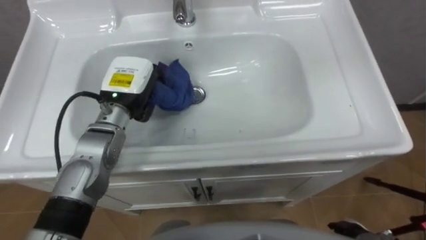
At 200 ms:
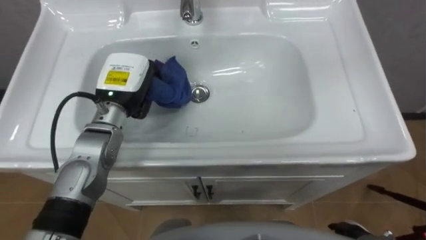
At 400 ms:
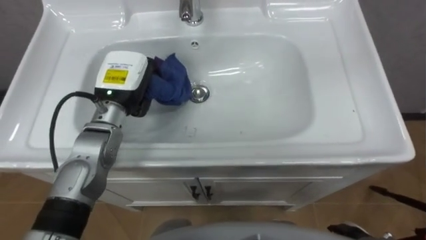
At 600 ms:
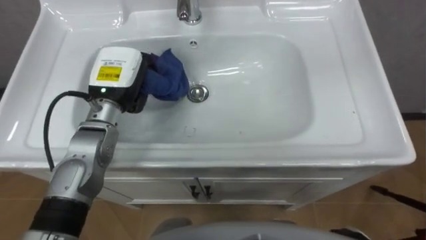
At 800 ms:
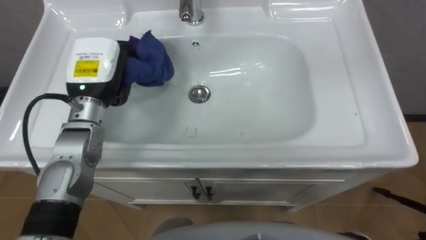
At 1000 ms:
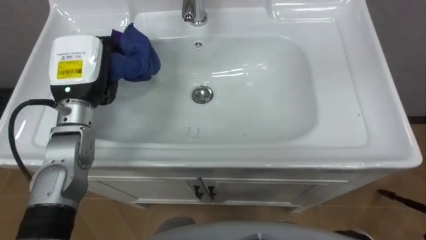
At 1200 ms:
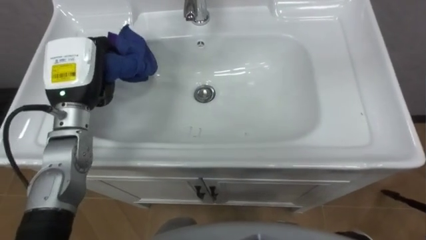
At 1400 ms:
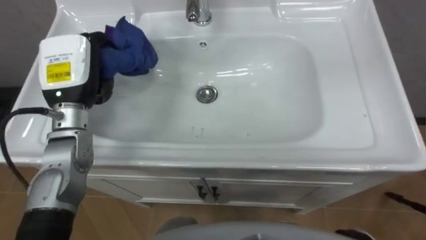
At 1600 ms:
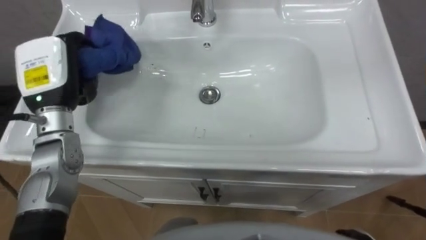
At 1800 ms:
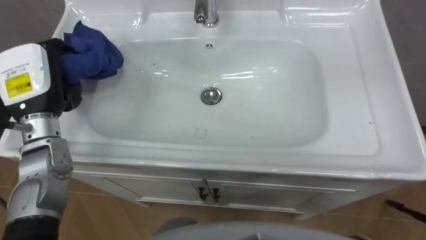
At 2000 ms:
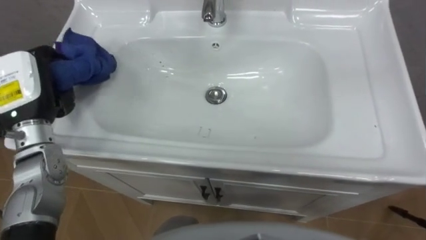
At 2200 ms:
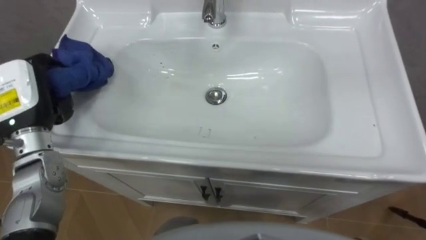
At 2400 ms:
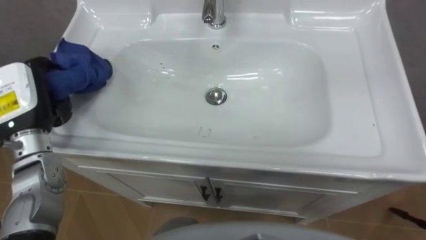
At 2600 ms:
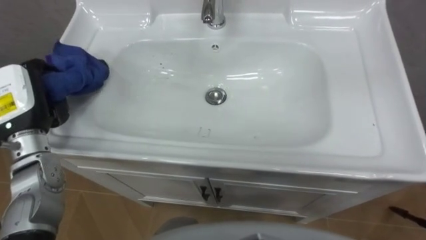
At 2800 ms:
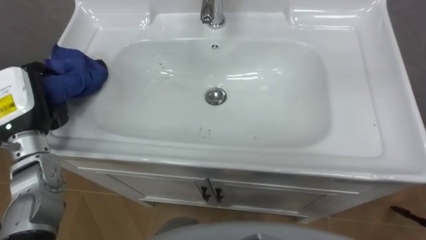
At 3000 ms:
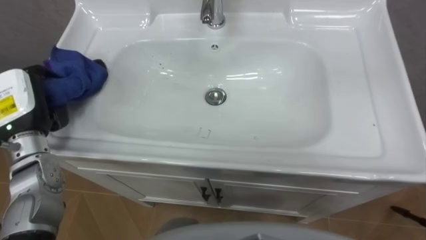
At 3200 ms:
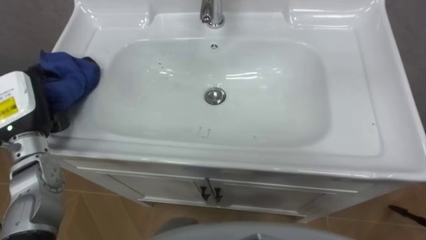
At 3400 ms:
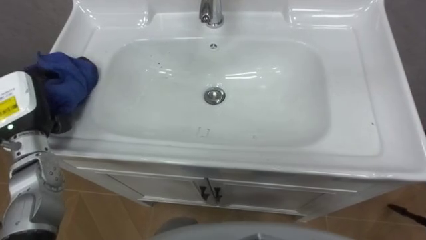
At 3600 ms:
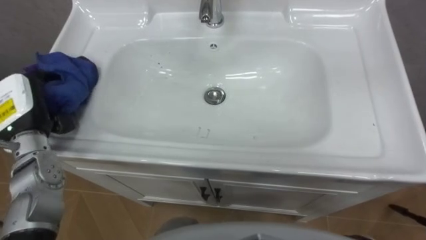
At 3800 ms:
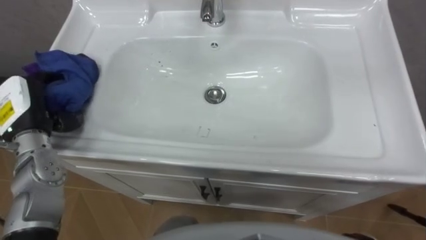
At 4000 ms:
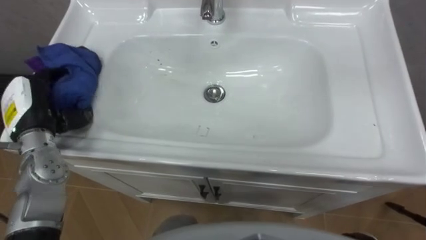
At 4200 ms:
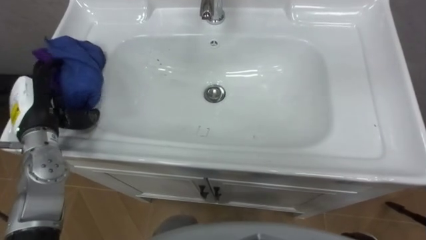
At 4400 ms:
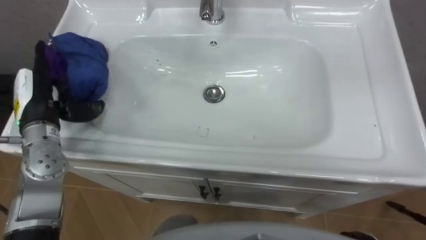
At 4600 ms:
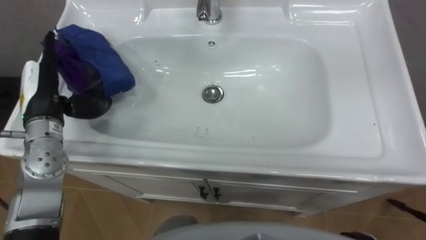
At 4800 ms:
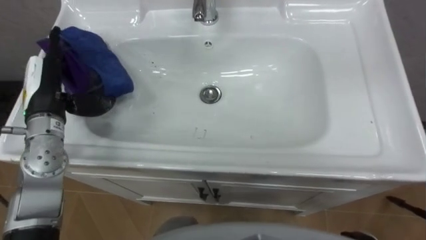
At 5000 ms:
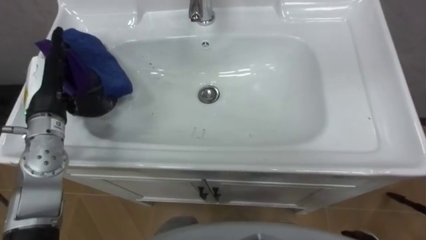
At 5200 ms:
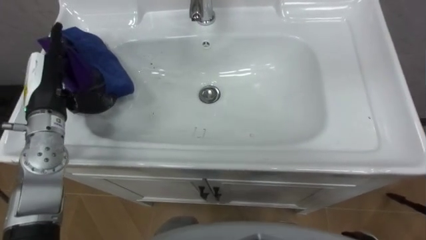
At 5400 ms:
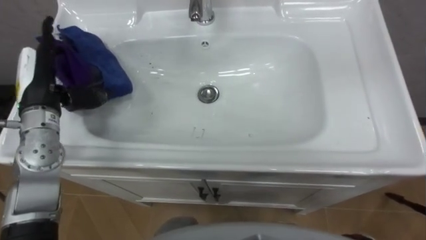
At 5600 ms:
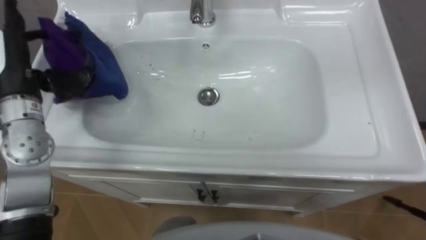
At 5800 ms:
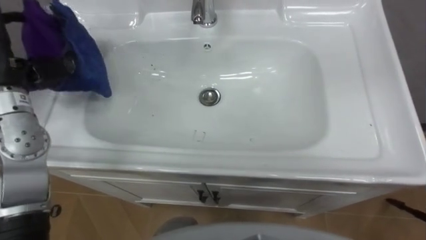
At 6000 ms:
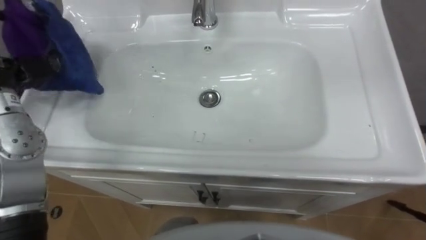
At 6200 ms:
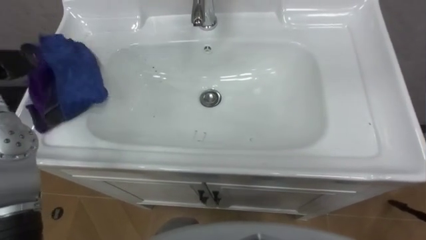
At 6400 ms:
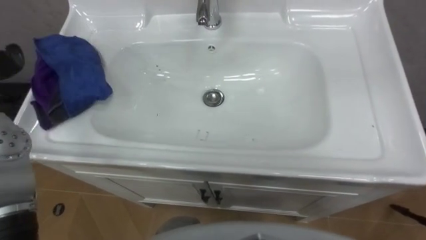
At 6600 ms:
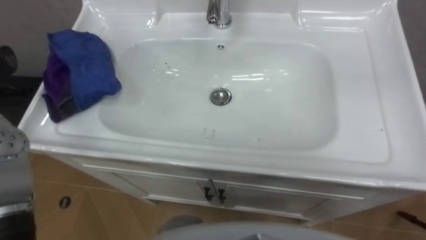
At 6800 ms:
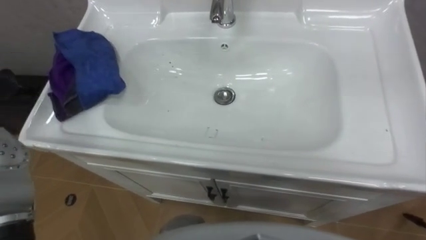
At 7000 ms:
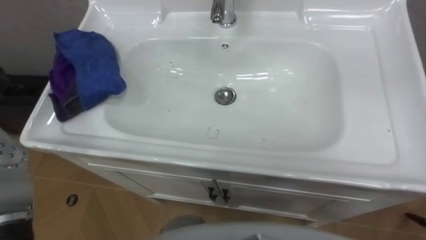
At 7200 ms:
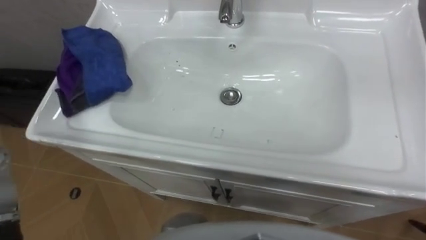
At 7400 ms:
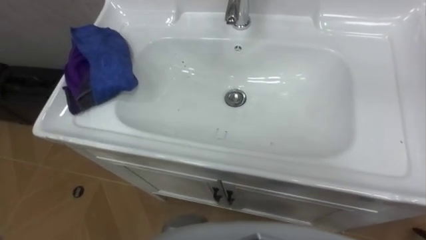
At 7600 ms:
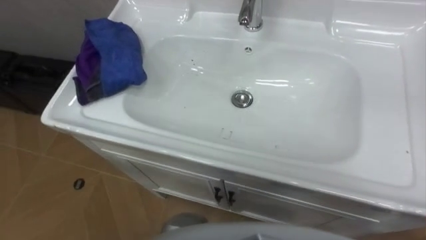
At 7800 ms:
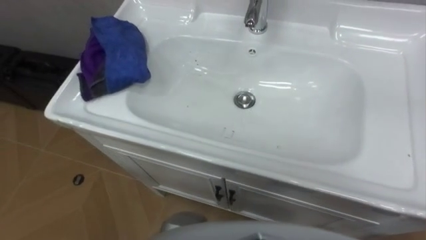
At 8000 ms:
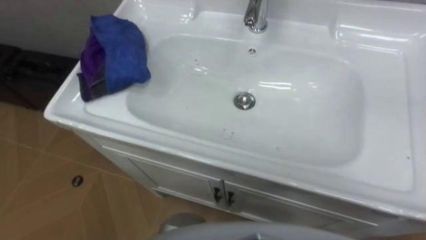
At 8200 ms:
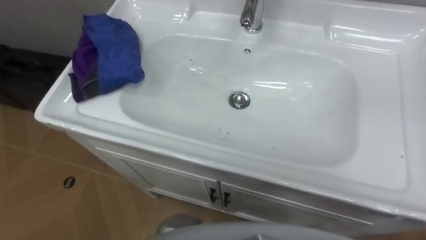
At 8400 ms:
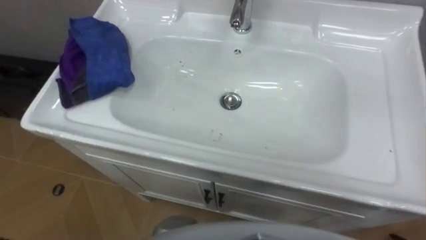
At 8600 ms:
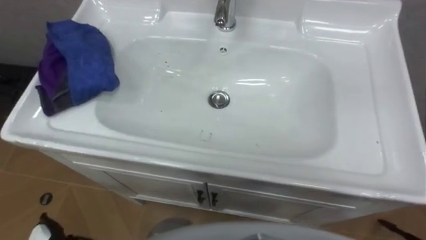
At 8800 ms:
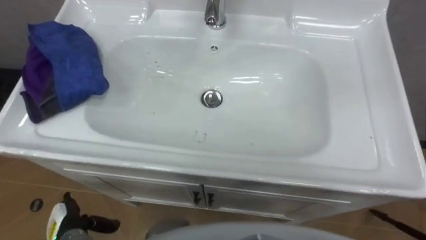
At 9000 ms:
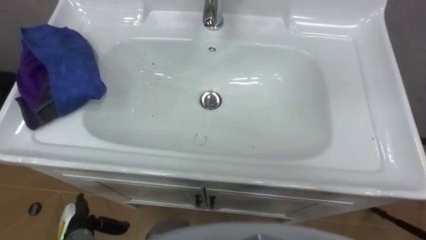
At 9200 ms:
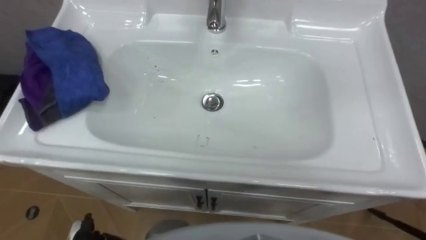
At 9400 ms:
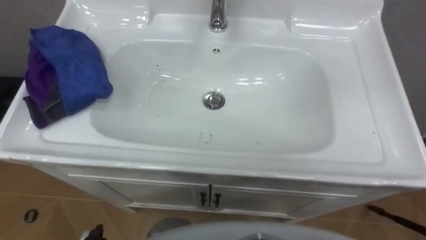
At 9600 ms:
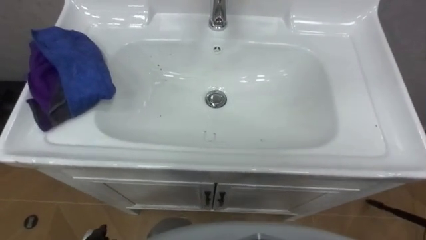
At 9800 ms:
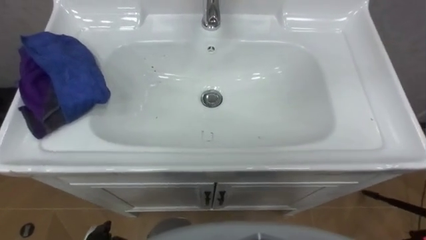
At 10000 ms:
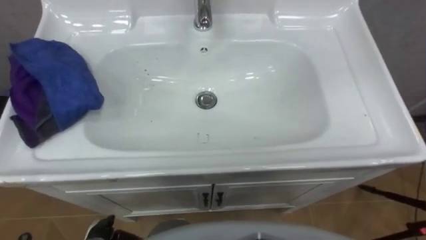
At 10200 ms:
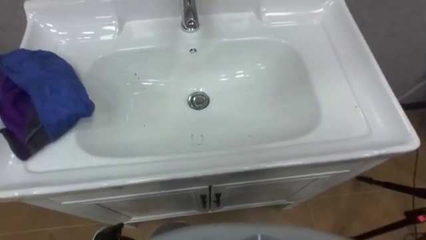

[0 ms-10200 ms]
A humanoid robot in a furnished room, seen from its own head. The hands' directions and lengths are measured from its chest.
Task of the whole recording: Use the cloth on the right to wipe away the black stain in the sink.
0 ms to 1400 ms: The left hand is displaced to the left and upward by some 10 cm.
1400 ms to 3000 ms: The left hand is displaced to the left by approximately 10 cm.
3000 ms to 4400 ms: The left hand opens.

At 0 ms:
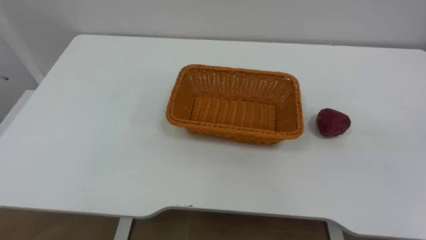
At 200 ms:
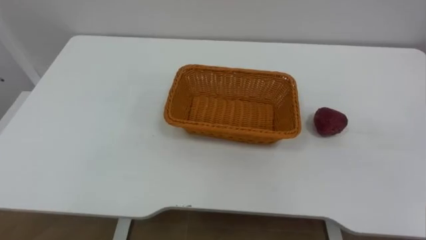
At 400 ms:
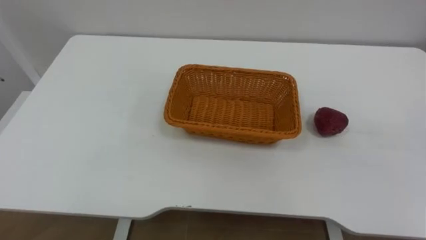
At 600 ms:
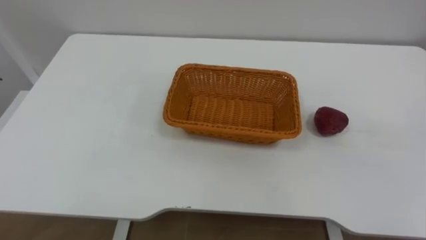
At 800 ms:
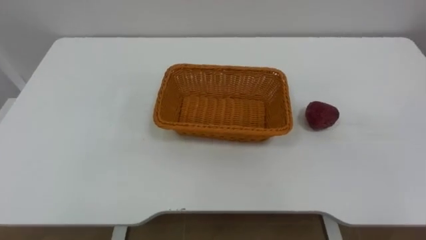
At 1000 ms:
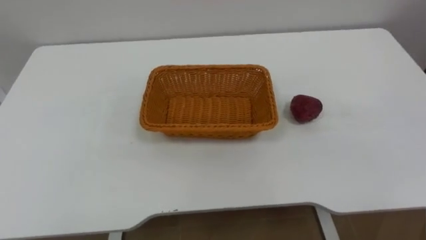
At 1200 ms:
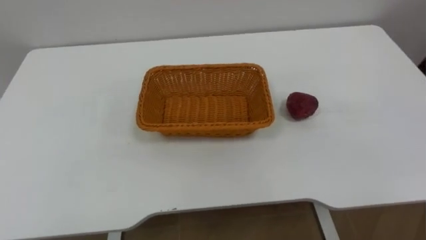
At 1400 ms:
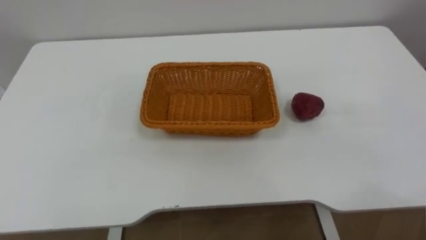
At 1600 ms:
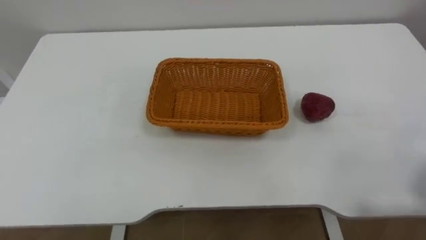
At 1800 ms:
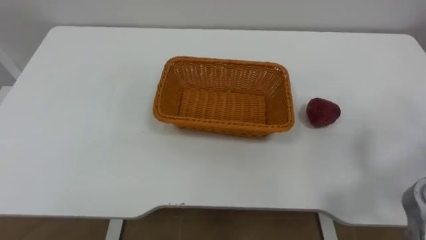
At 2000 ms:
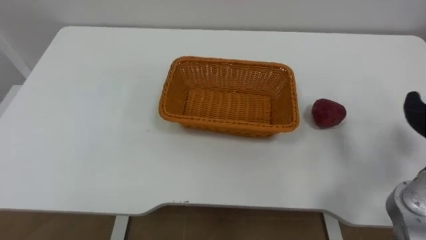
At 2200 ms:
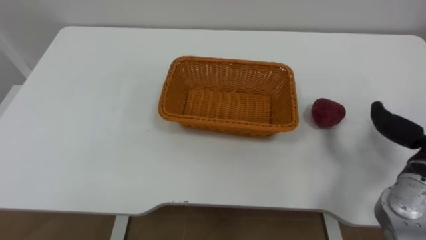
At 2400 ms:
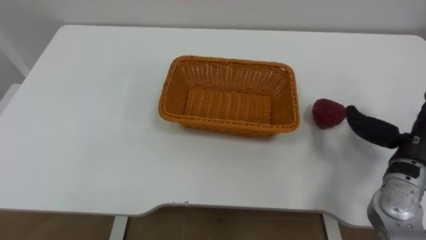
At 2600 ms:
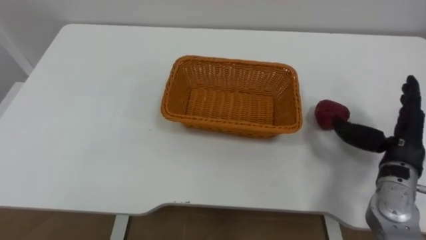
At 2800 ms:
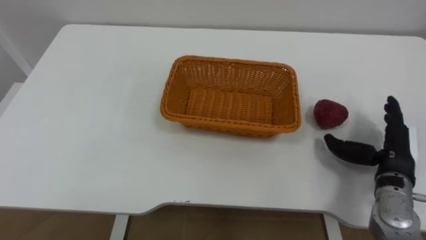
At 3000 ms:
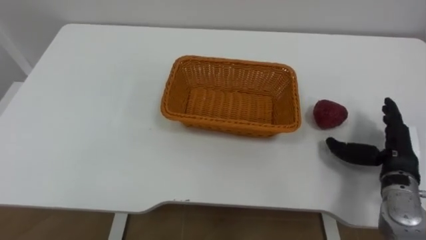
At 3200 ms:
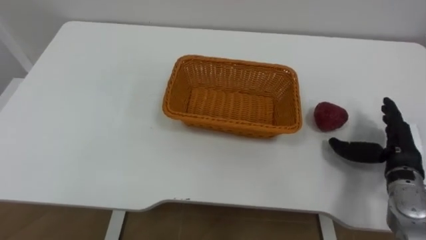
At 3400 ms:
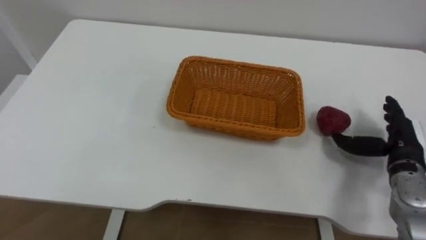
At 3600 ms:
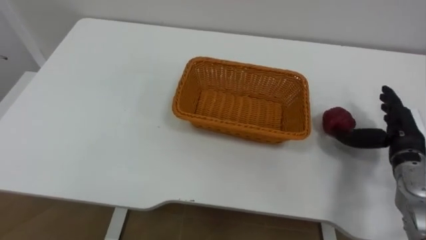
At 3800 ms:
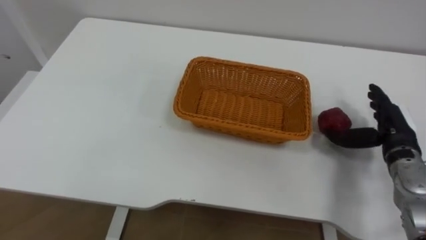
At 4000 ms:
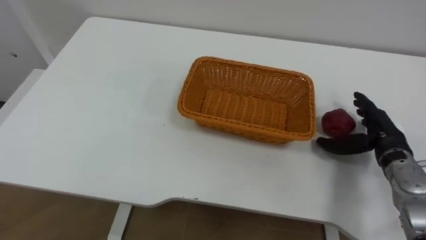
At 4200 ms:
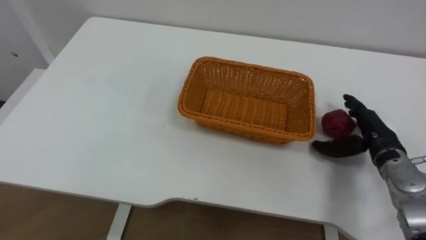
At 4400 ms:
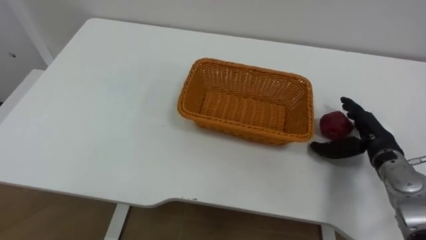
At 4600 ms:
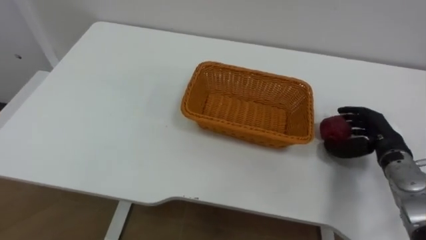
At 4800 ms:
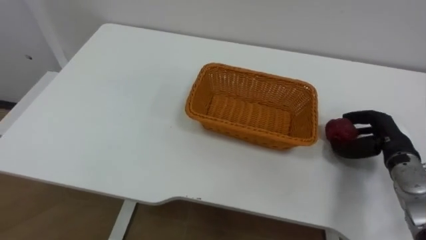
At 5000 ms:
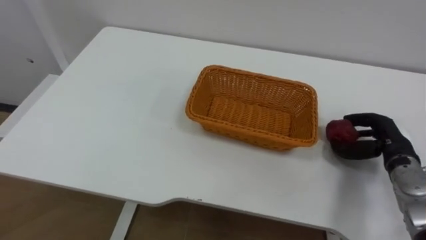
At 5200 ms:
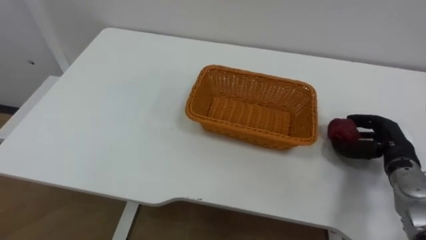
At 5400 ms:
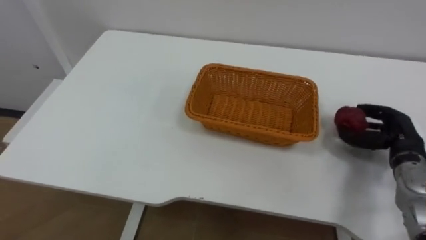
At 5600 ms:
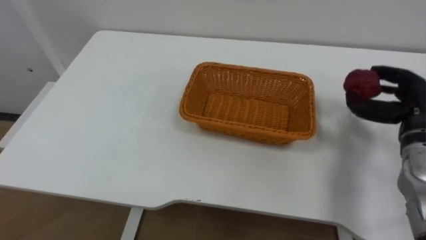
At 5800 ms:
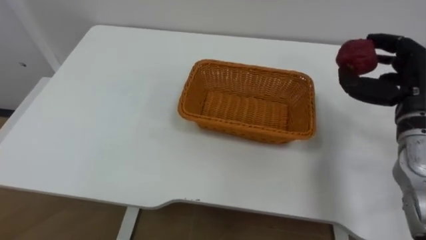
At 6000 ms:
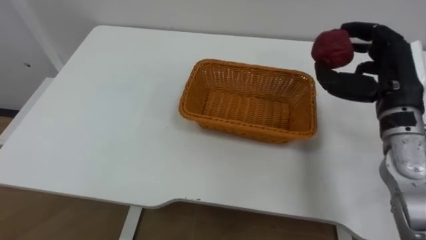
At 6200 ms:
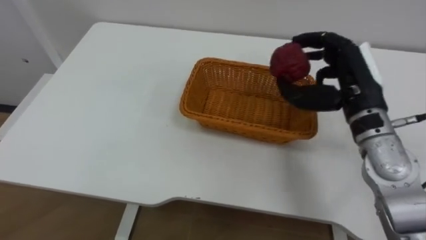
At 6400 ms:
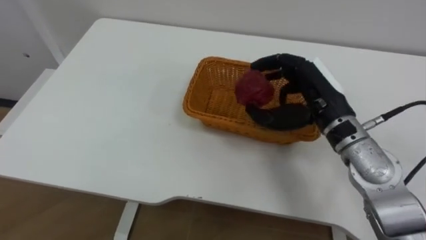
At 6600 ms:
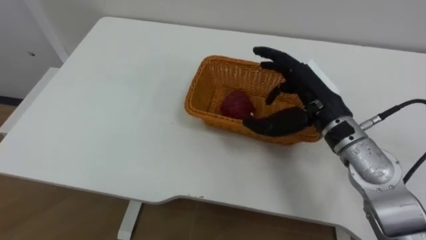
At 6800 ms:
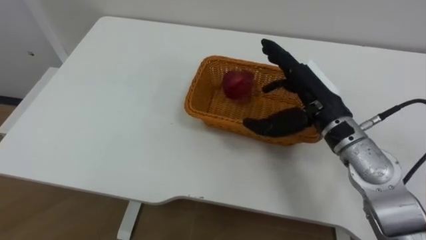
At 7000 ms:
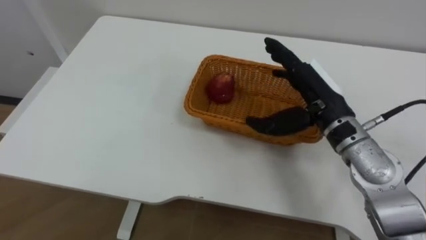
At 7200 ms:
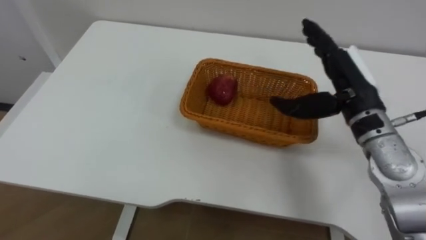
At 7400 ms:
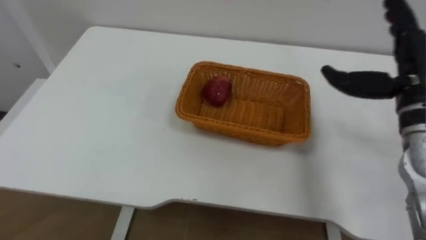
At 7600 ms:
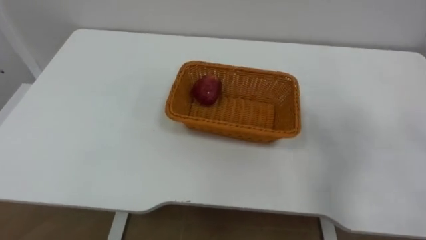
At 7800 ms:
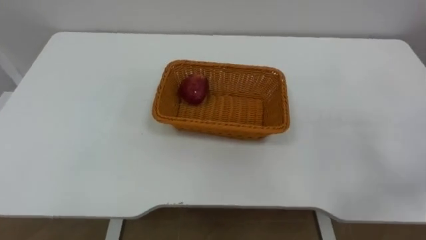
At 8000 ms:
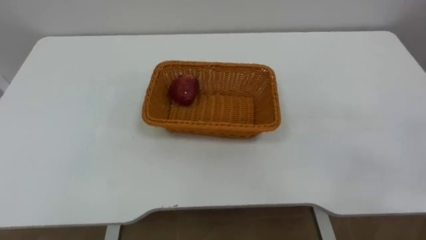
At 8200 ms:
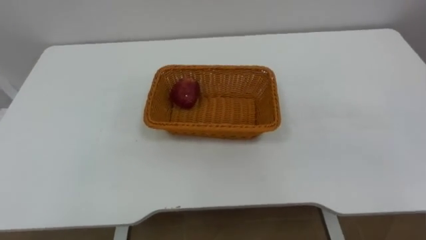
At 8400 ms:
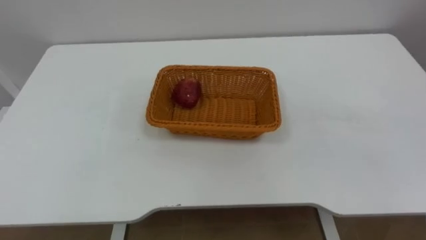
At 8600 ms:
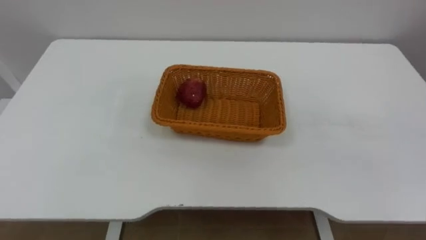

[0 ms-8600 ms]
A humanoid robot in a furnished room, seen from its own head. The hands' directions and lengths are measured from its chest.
Task of the whole recording: Pick the apple and place it in the box.
2800 ms to 4400 ms: The right hand moves roughly 5 cm.
4400 ms to 5800 ms: The right hand is displaced upward by roughly 15 cm, and closes its fingers.
5800 ms to 7200 ms: The right hand goes about 10 cm to the left, and opens.
